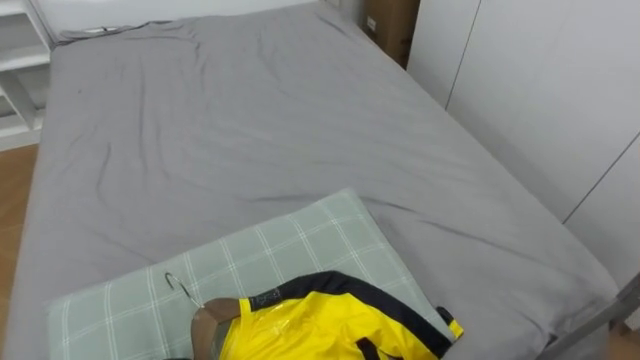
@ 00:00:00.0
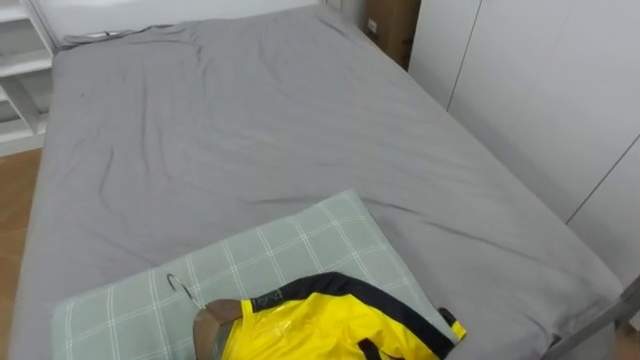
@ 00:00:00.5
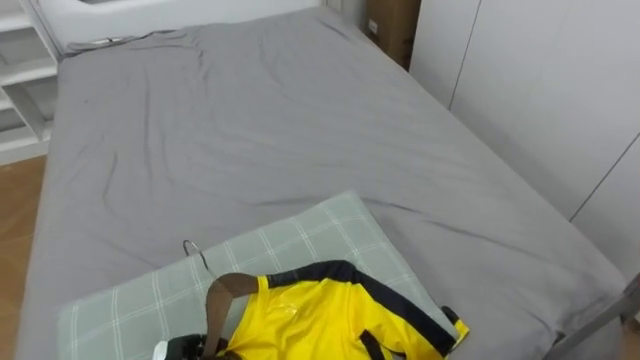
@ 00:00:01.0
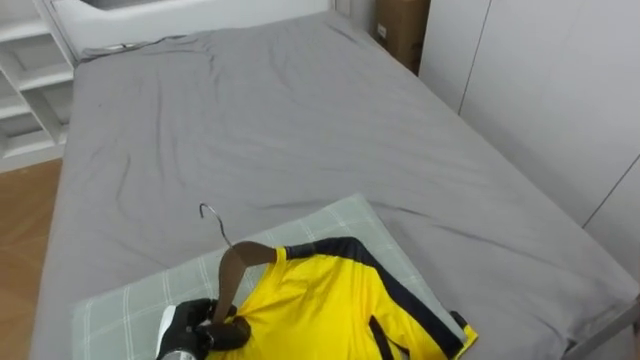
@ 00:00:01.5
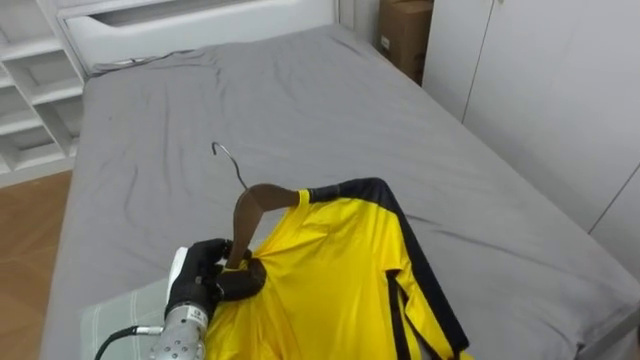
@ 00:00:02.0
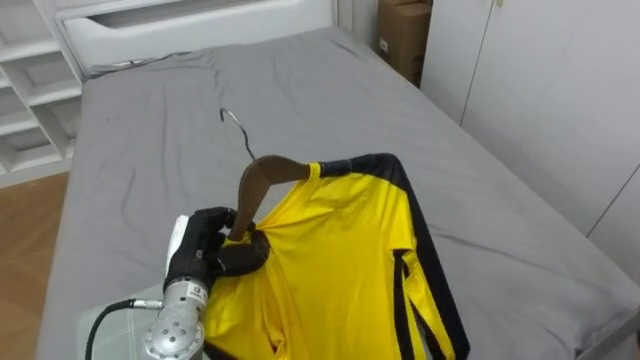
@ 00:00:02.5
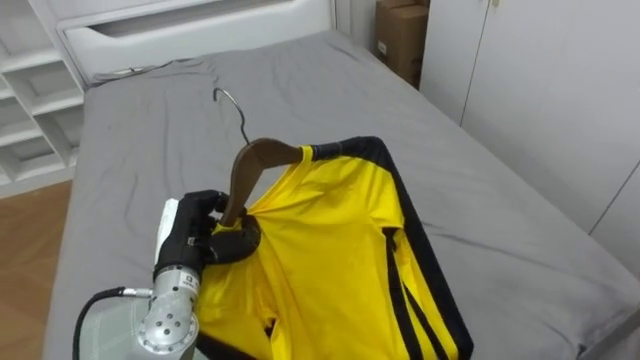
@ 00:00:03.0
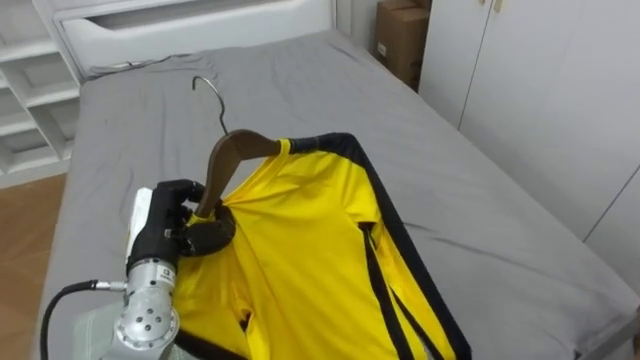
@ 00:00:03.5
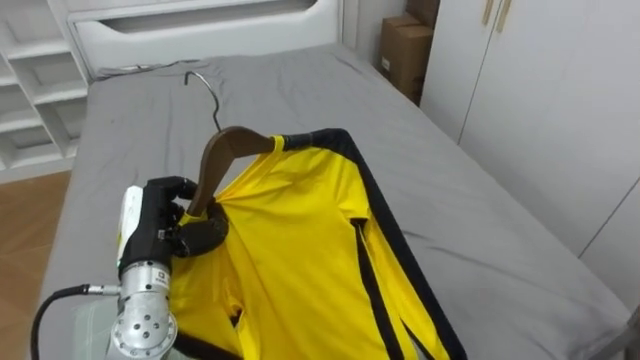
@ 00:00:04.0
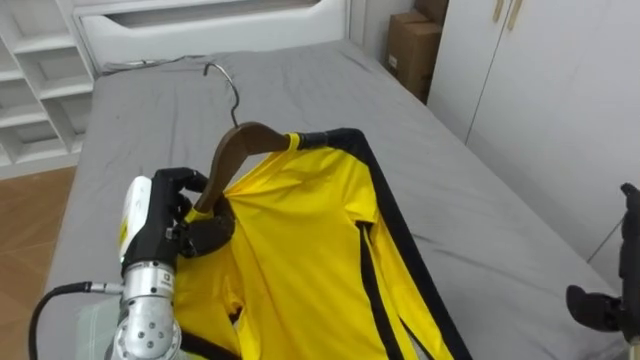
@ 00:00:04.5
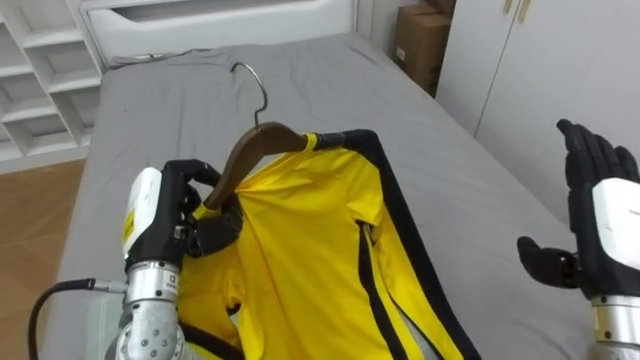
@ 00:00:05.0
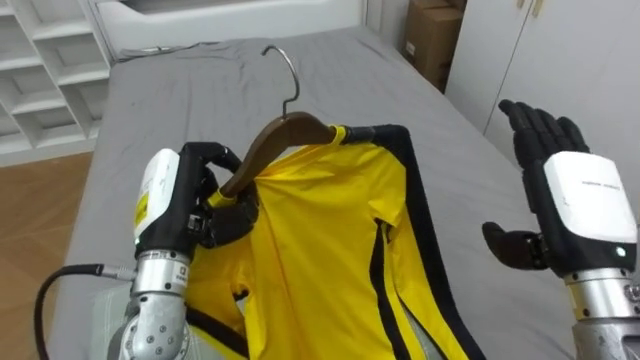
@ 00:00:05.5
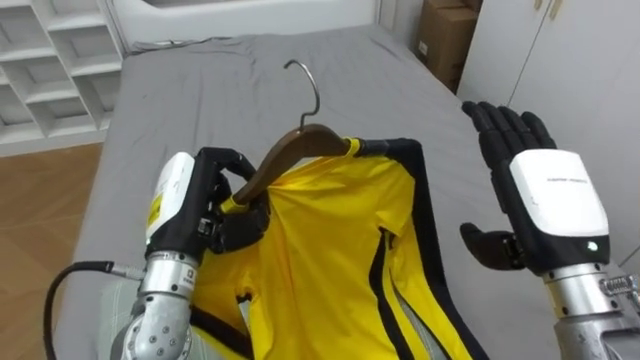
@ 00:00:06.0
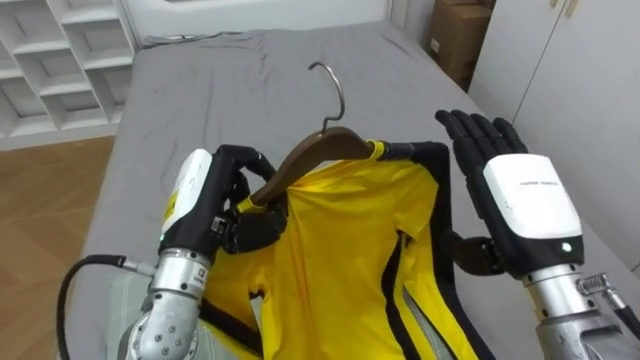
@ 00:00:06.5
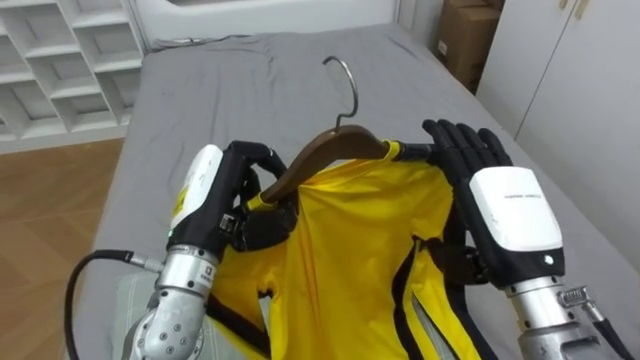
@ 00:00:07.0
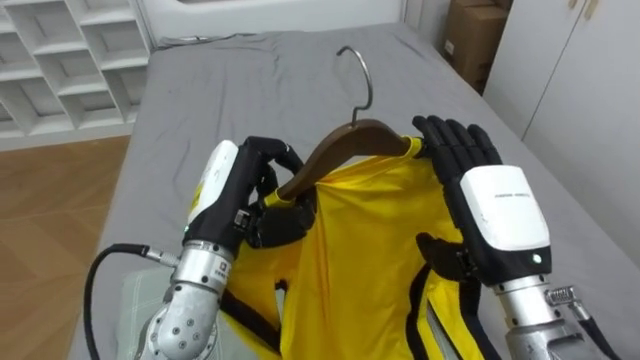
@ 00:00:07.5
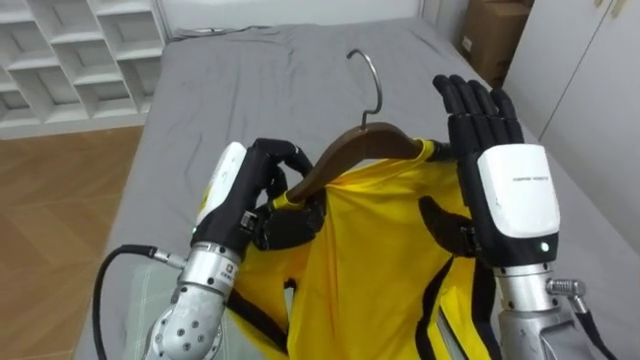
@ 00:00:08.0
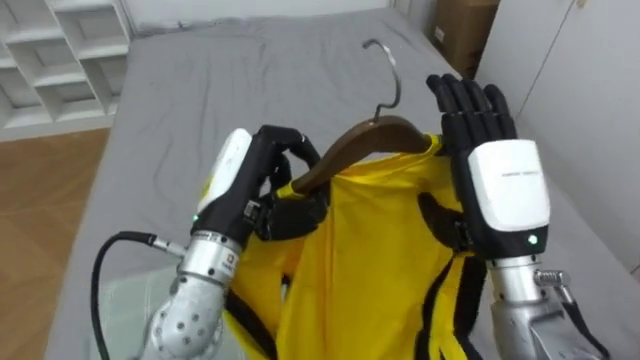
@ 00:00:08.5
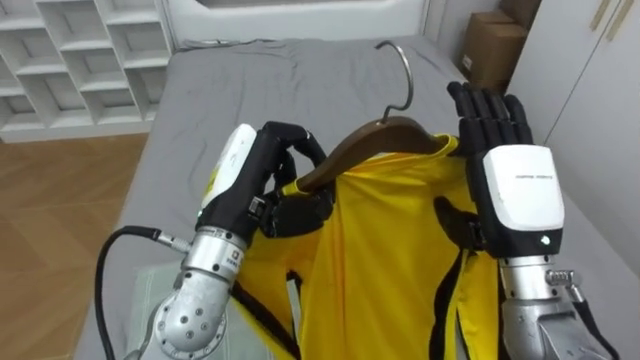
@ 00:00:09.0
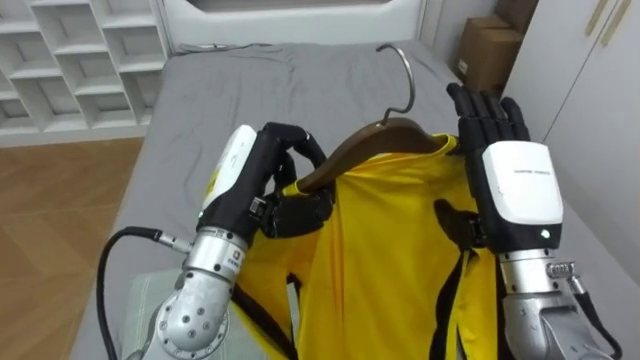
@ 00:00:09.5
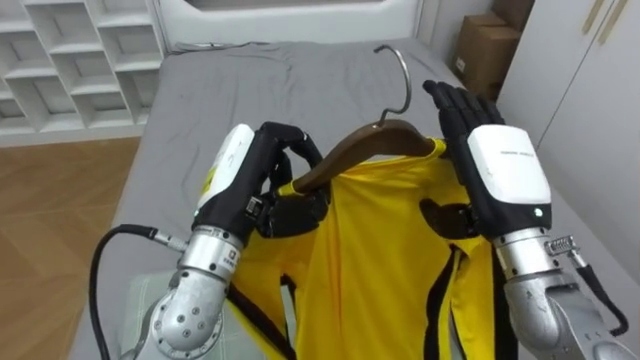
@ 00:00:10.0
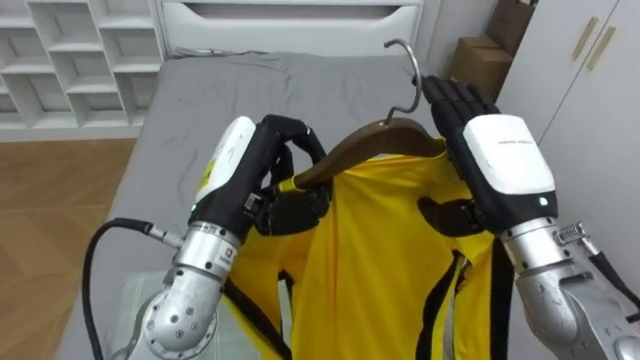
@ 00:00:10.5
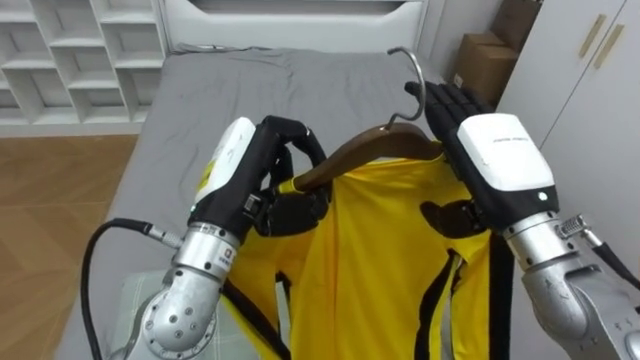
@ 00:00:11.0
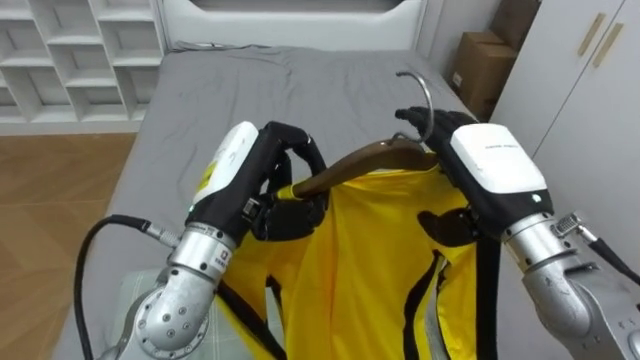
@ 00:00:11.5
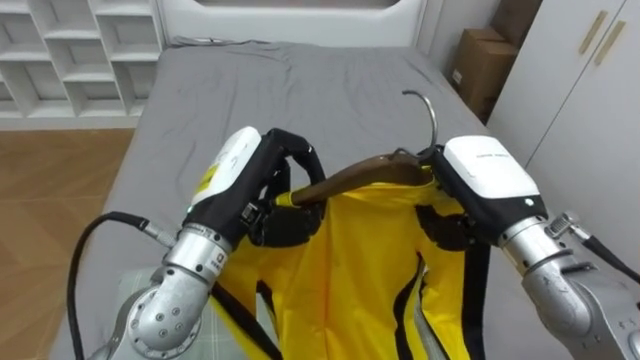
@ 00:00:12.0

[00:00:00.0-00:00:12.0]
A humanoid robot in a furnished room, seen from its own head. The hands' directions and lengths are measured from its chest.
Task of the whole recording: Pick up the yellow shirt on the bed and hang it on the clothes rack on the right.
00:00:02.0 to 00:00:04.0: The left hand travels upward by roughly 10 cm.
00:00:04.0 to 00:00:06.0: The left hand is displaced upward and to the right by some 10 cm.
00:00:06.0 to 00:00:08.0: The left hand is displaced to the right by roughly 5 cm.
00:00:10.0 to 00:00:12.0: The right hand closes up.

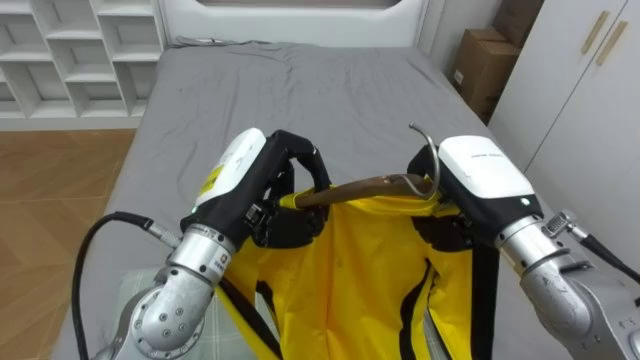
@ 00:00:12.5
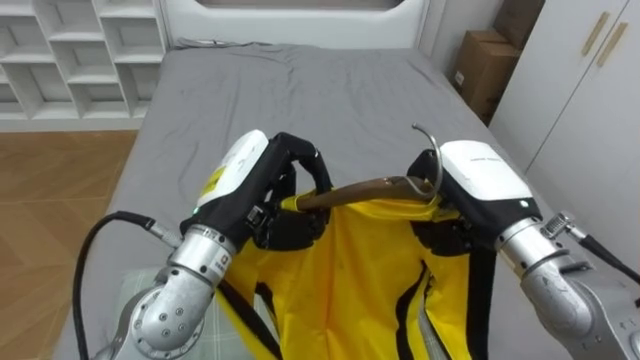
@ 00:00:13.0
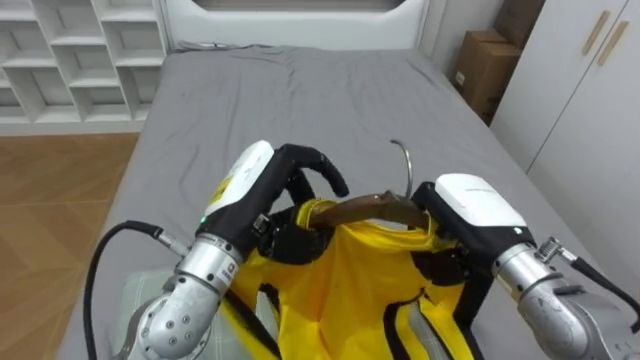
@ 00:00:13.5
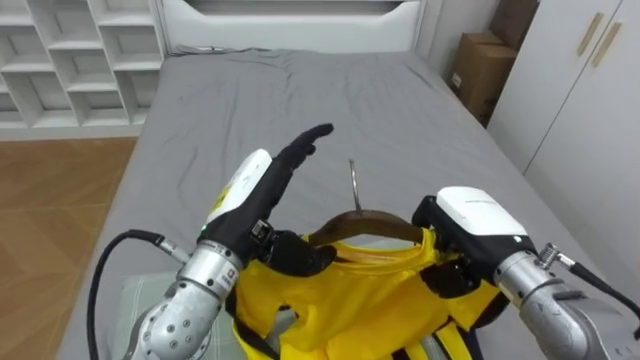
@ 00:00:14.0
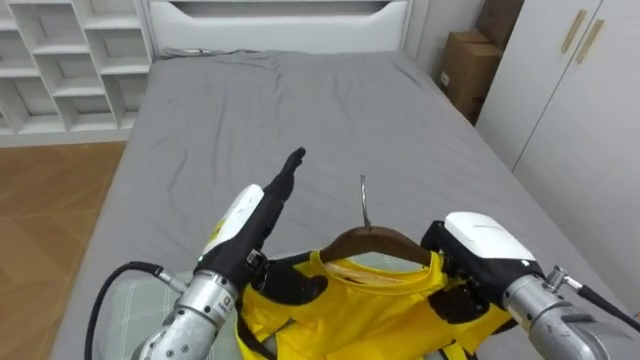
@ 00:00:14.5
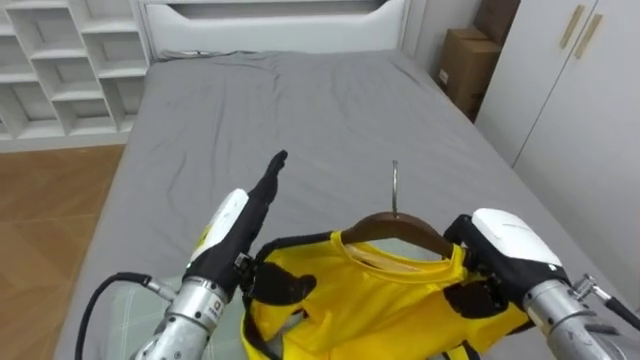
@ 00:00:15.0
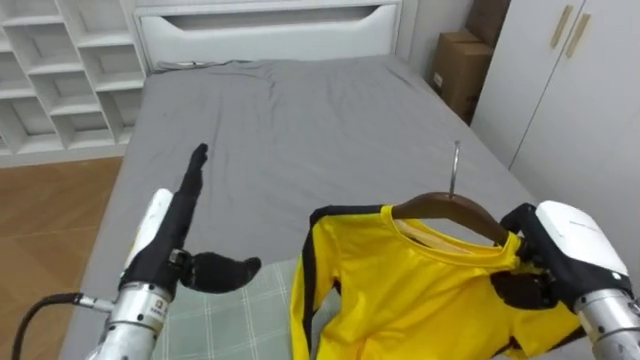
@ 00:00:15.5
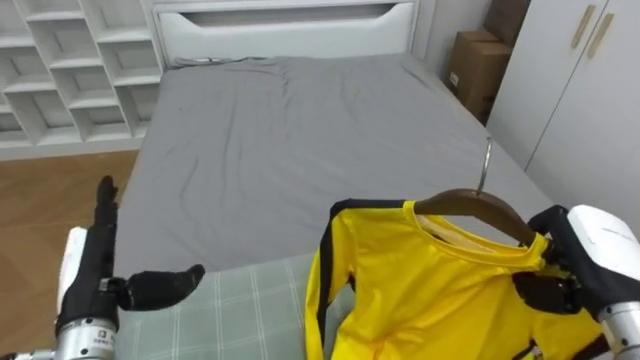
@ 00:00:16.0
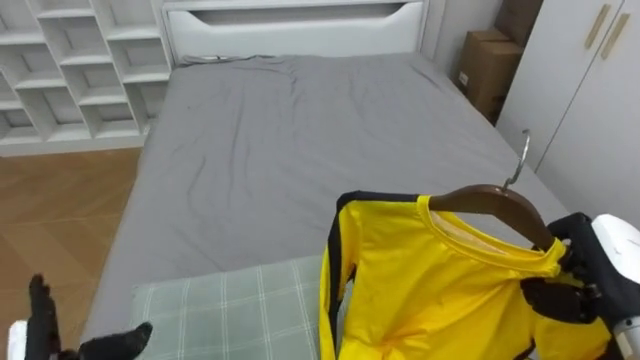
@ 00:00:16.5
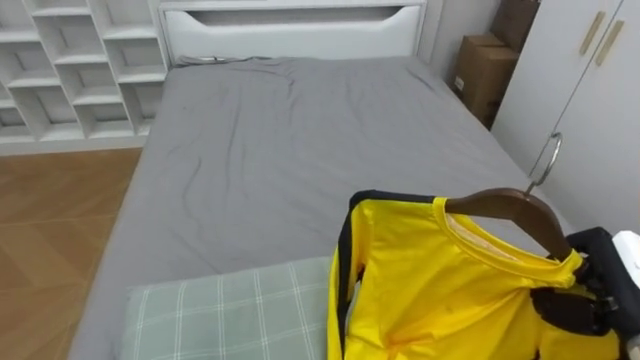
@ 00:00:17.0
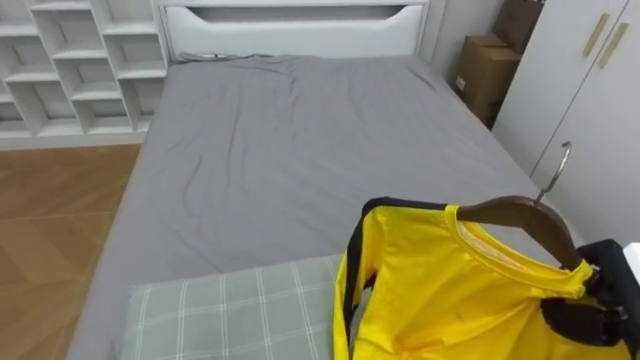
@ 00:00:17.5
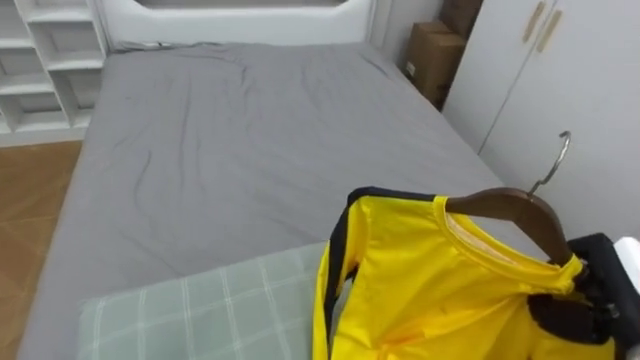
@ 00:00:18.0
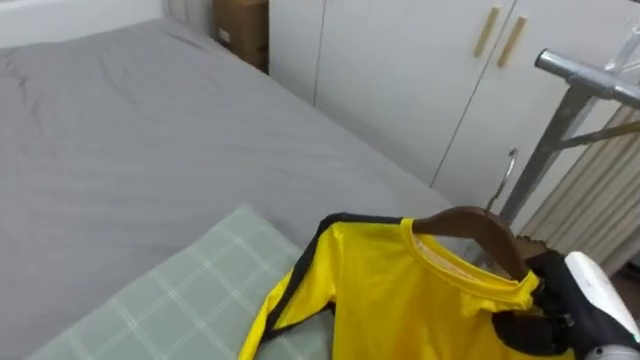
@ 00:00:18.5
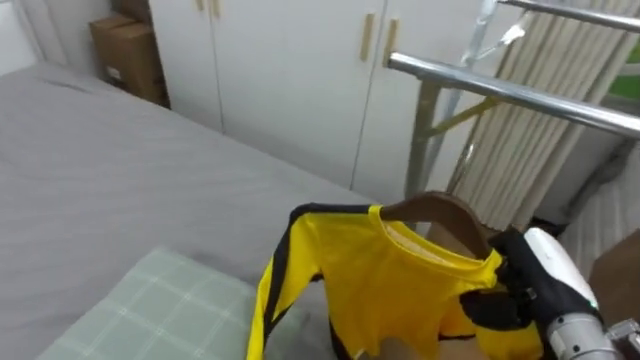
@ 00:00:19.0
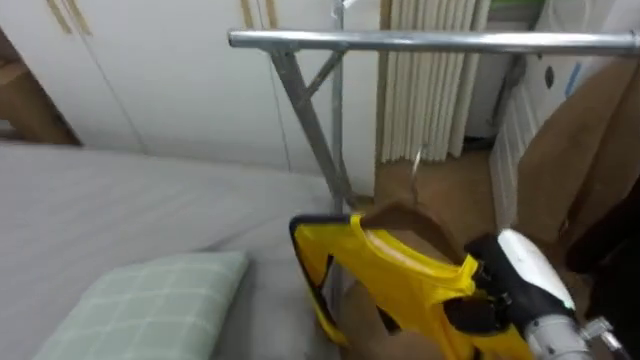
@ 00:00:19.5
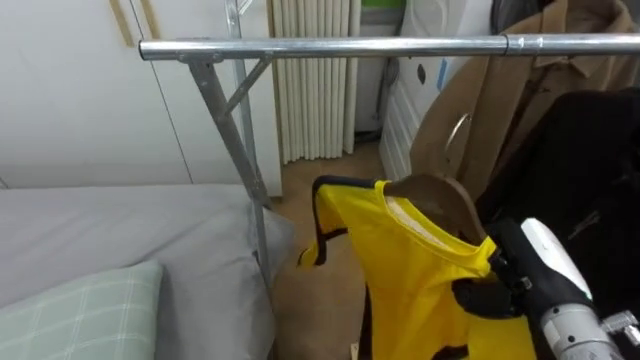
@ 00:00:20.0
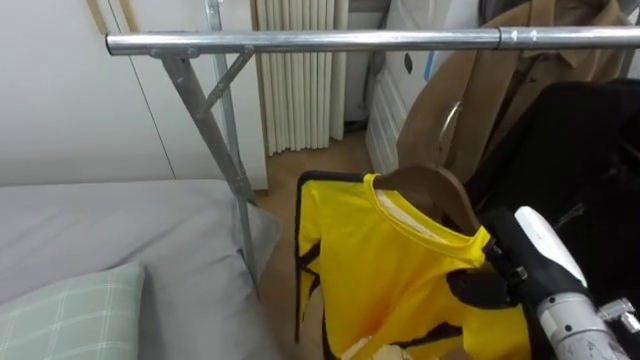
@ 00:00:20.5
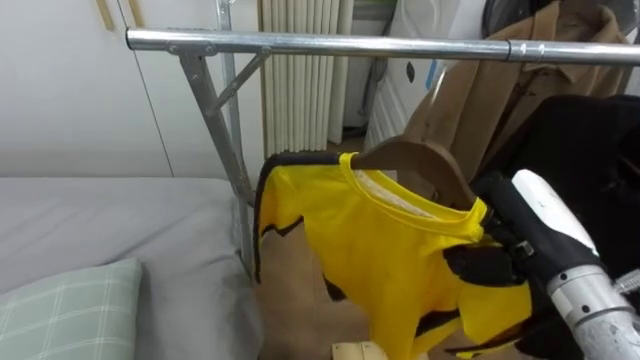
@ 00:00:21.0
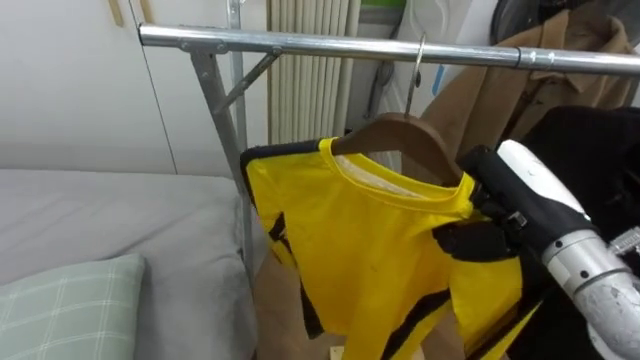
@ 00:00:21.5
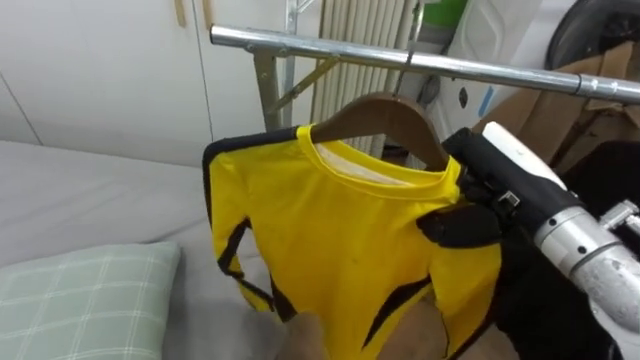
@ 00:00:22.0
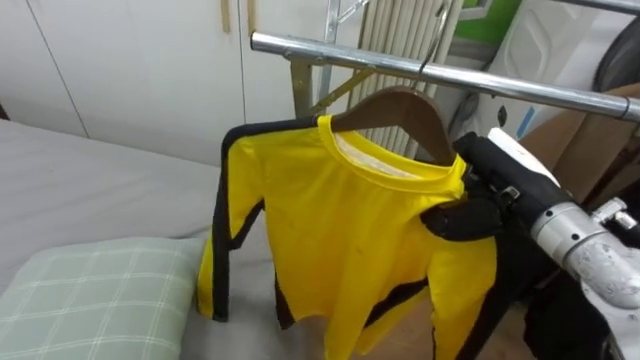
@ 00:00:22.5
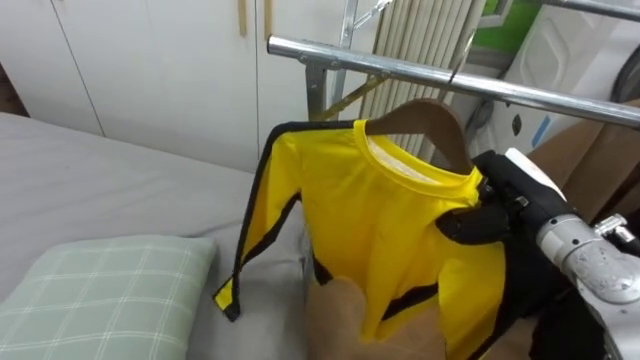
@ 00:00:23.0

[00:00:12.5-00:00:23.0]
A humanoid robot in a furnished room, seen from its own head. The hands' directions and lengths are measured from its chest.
Task of the whole recording: Pick up the yellow shirt on the bed and hang it on the clothes rack on the right.
00:00:12.5 to 00:00:14.5: Both hands move downward, approximately 10 cm. The left hand opens its fingers.
00:00:14.5 to 00:00:16.5: The right hand shifts roughly 10 cm to the right. The left hand goes about 25 cm to the left and downward.
00:00:16.5 to 00:00:19.0: The robot turns to its right by about 45 degrees. The right hand heads to the left, covering about 5 cm.
00:00:19.0 to 00:00:21.0: The robot's body swings roughly 40 degrees to its right. The right hand heads upward, covering some 10 cm.
00:00:21.0 to 00:00:23.0: The right hand heads forward, covering some 5 cm.
